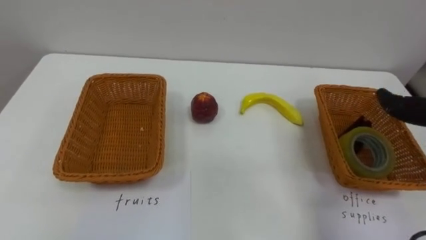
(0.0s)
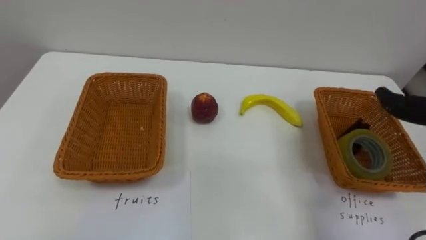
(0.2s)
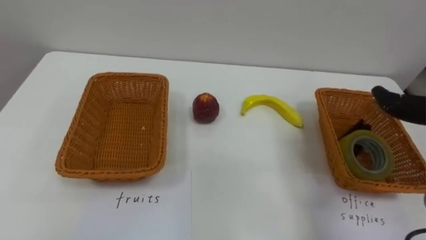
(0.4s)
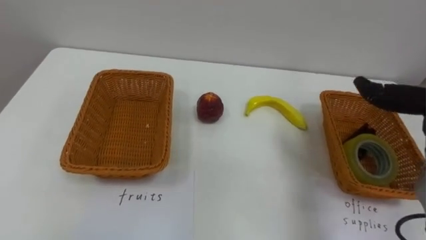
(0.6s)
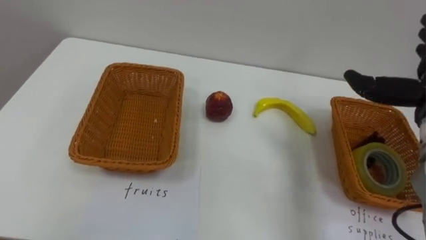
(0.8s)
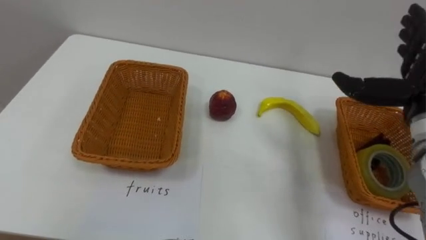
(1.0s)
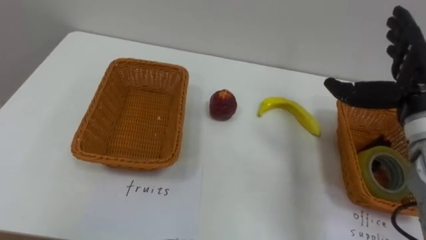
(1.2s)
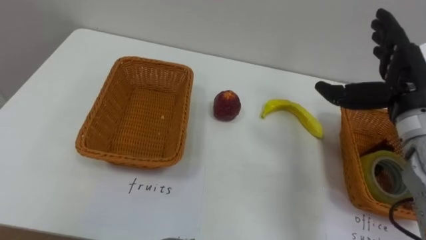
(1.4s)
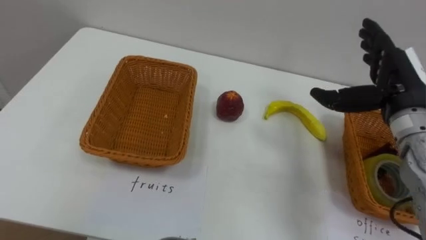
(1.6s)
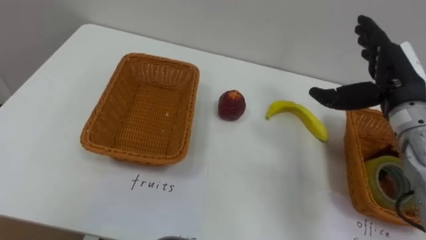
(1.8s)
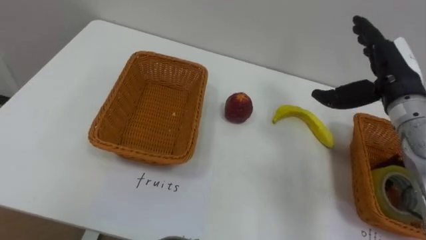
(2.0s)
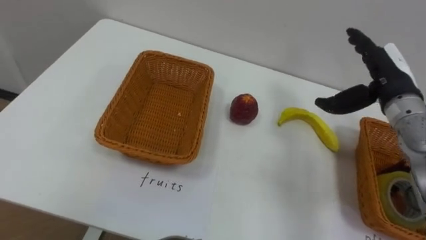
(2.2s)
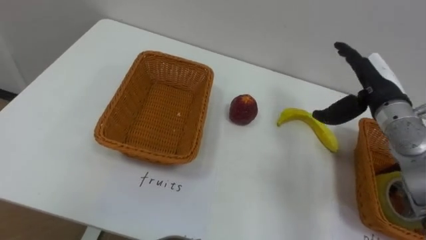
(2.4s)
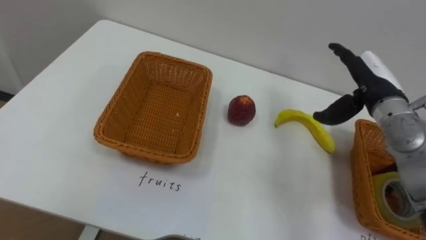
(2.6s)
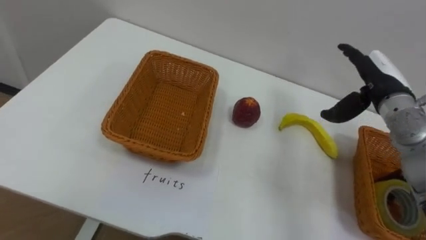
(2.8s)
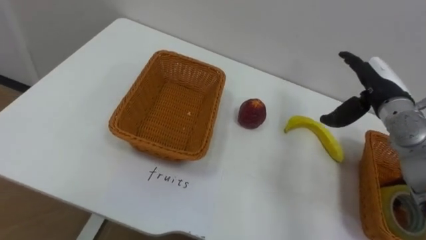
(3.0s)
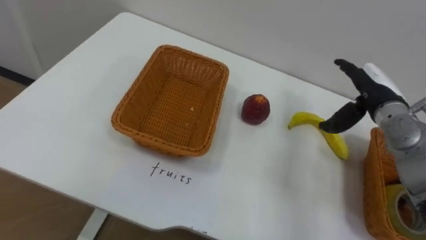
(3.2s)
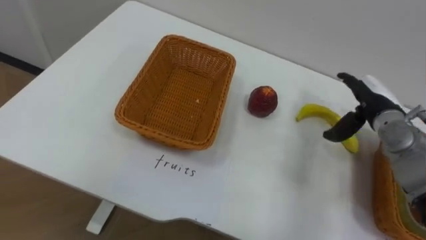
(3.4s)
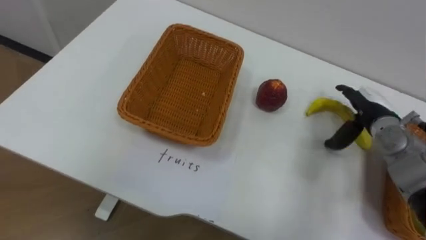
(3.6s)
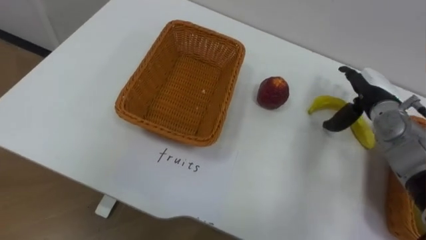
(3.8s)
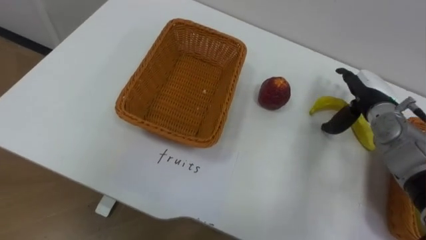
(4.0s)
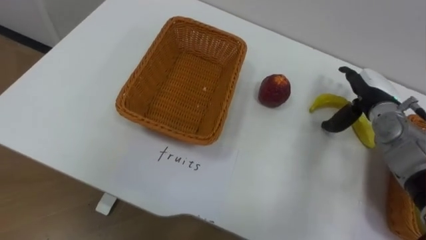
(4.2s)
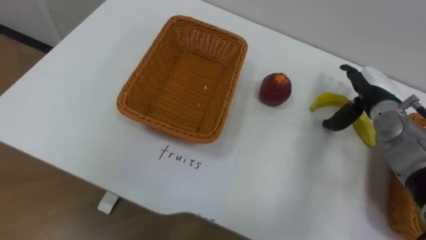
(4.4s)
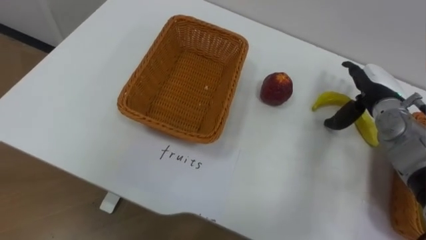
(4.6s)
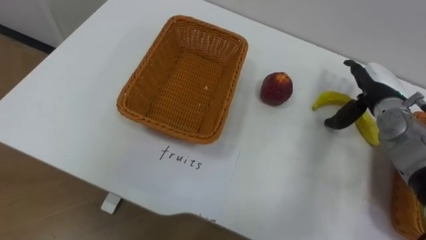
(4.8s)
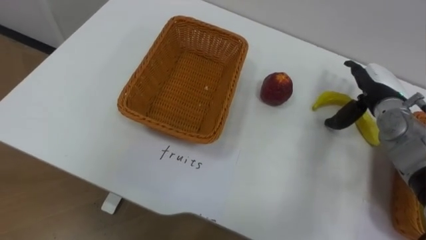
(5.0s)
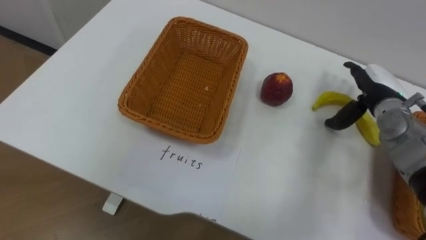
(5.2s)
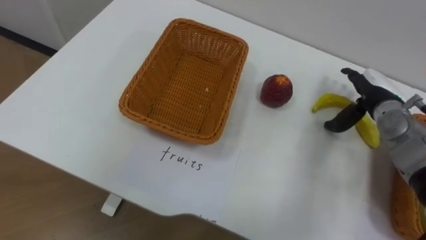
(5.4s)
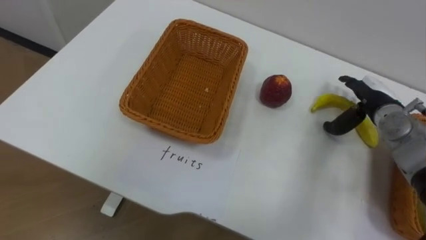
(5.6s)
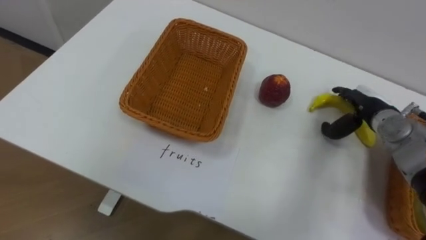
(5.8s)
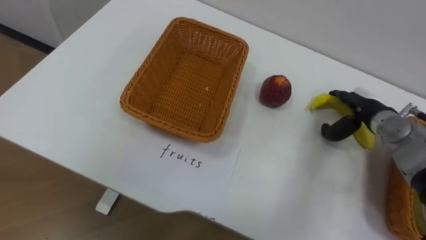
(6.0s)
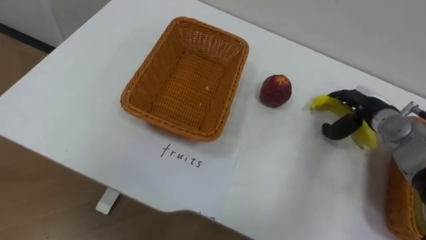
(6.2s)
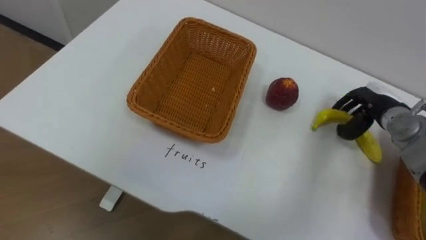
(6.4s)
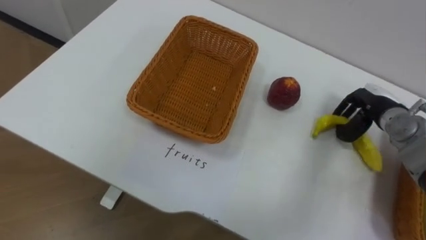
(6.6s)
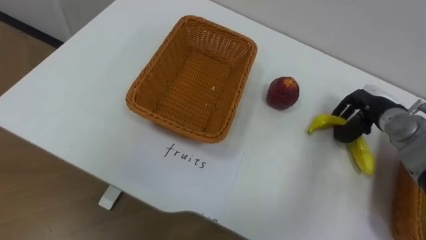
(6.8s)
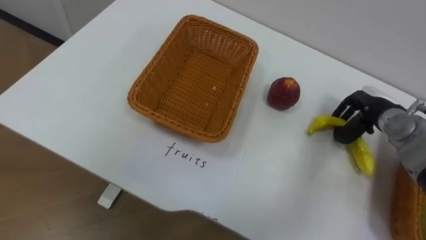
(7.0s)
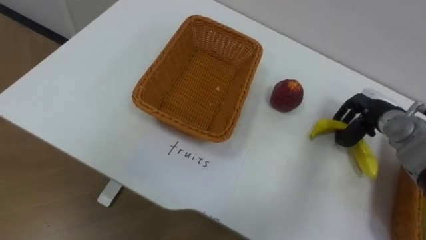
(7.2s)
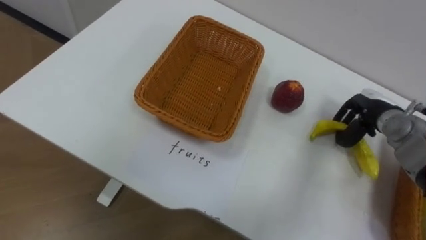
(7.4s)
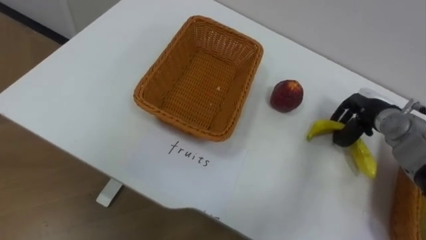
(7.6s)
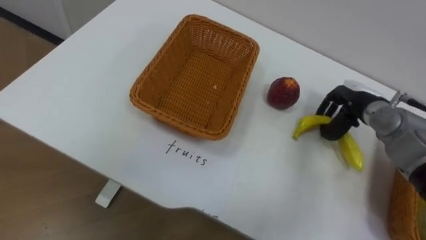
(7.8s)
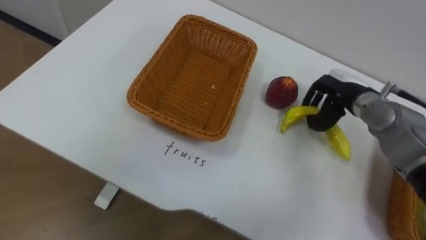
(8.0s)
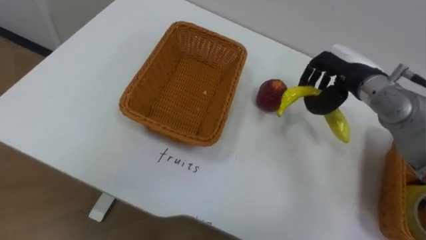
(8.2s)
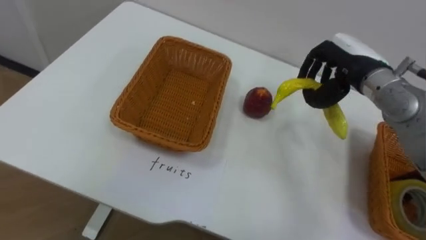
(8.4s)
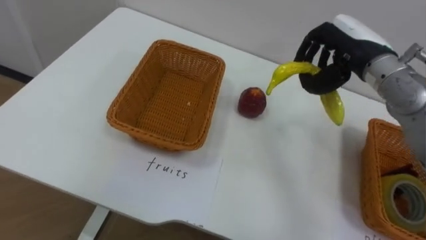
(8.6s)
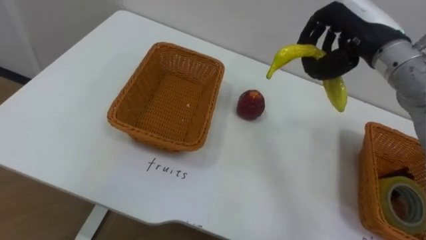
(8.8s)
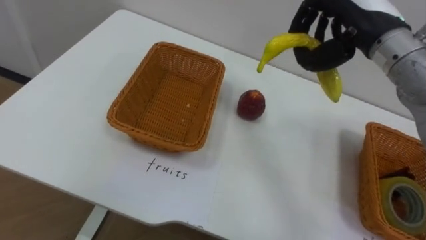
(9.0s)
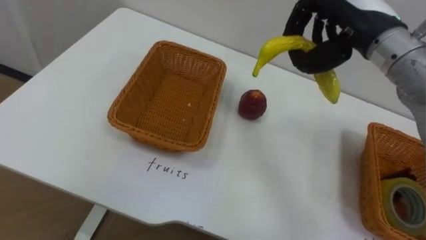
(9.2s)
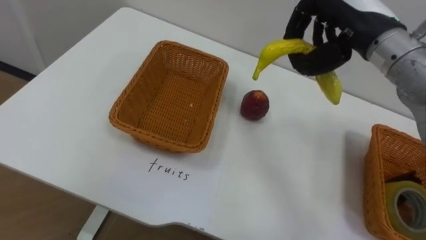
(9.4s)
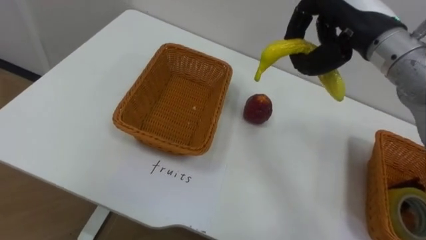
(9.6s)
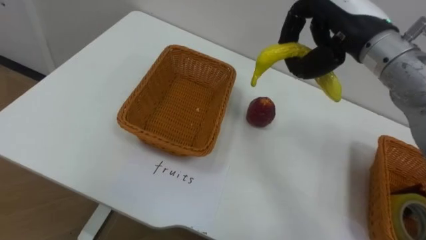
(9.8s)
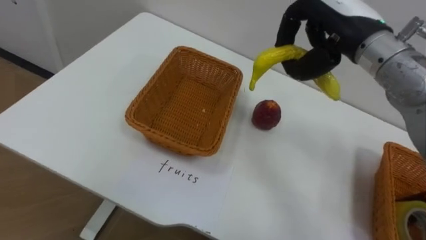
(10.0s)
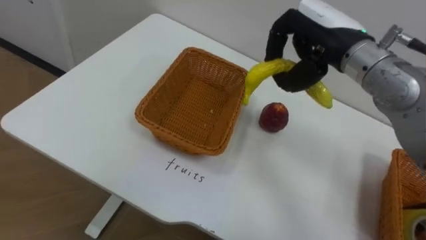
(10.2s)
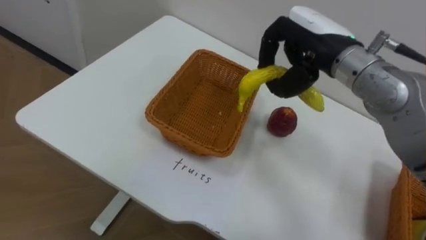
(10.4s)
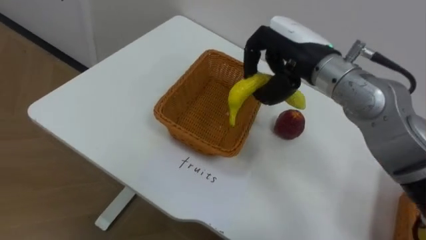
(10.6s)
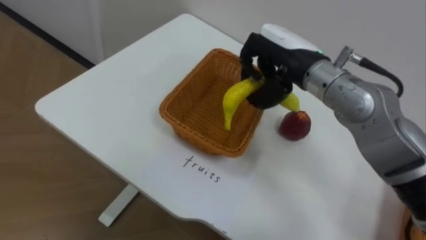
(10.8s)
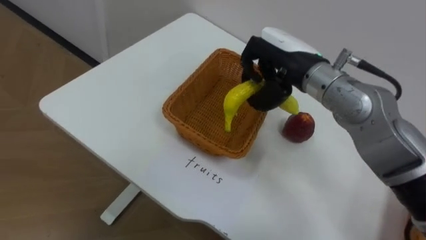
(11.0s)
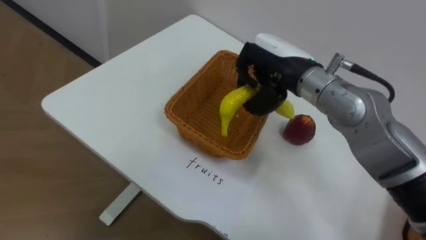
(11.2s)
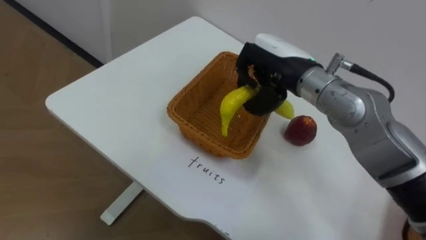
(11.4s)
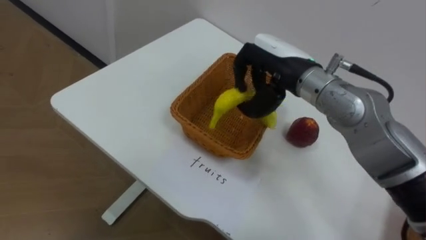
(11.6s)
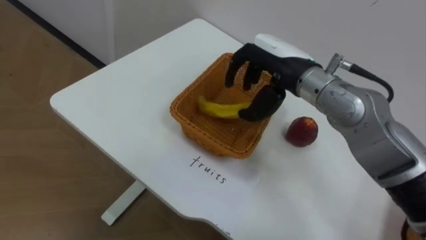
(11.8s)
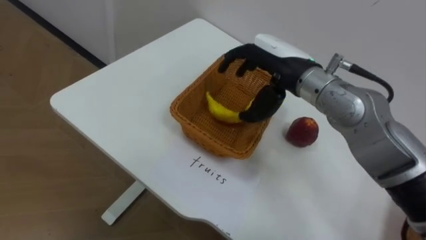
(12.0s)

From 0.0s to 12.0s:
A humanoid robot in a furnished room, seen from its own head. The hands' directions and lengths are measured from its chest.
Task of the whole recording: Separate the items on the table and place them into the two baskets.
From 1.6s to 3.0s: The right hand moves about 5 cm.
From 6.0s to 7.6s: The right hand closes its fingers.
From 7.6s to 9.0s: The right hand shifts some 25 cm upward and to the left.
From 9.0s to 10.4s: The right hand travels to the left by roughly 5 cm.
From 10.4s to 12.0s: The right hand shifts by approximately 5 cm, and opens its fingers.

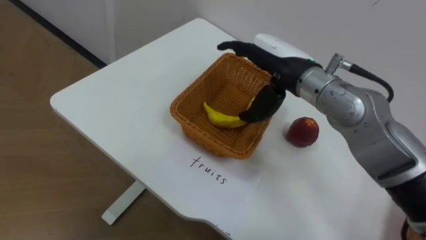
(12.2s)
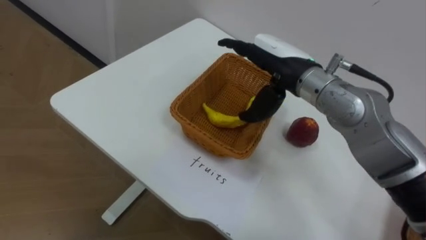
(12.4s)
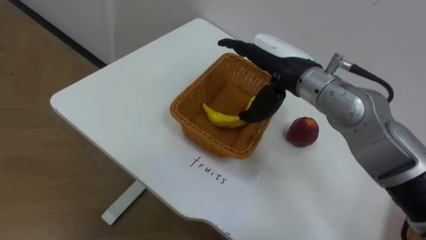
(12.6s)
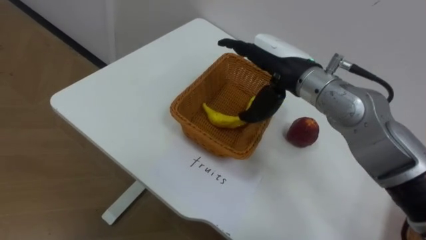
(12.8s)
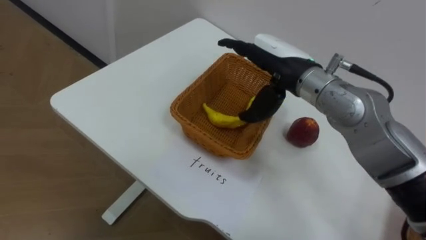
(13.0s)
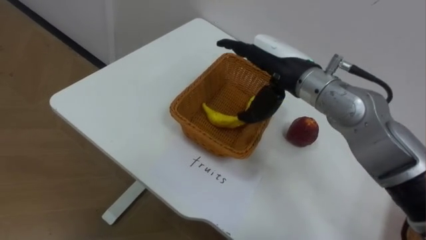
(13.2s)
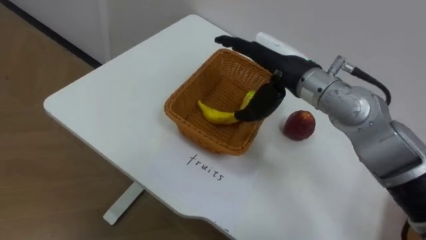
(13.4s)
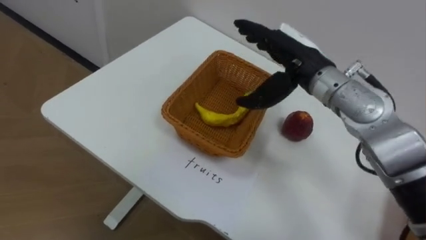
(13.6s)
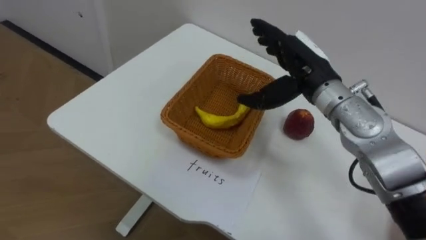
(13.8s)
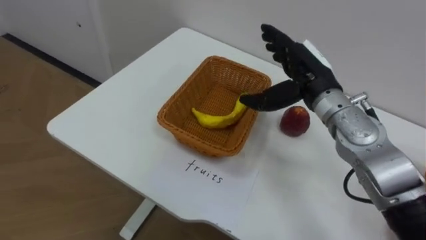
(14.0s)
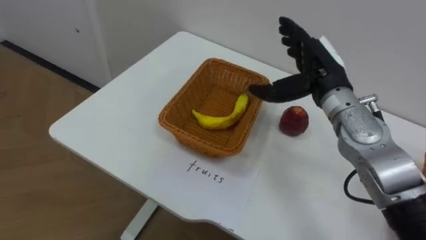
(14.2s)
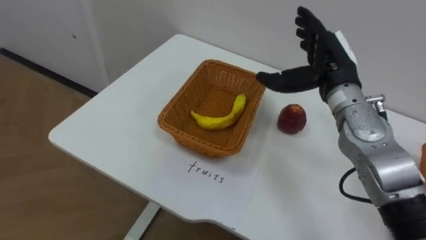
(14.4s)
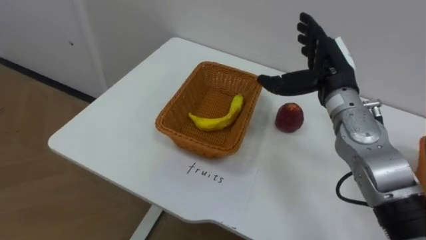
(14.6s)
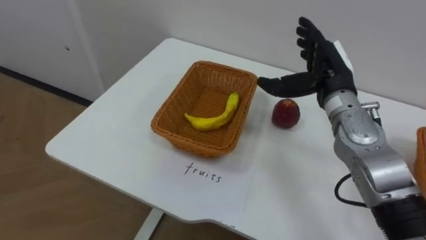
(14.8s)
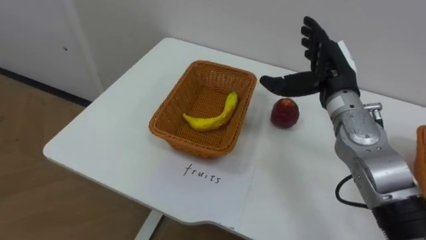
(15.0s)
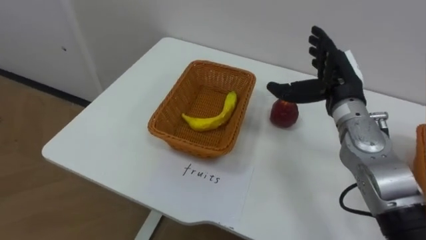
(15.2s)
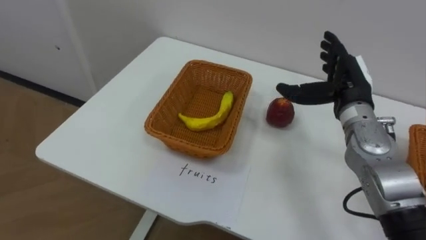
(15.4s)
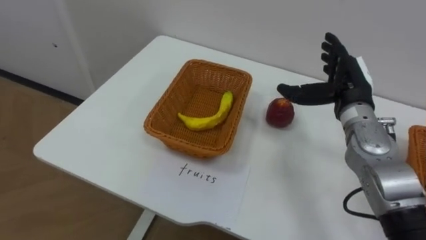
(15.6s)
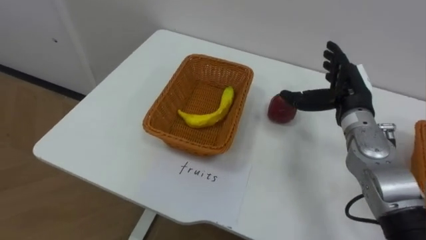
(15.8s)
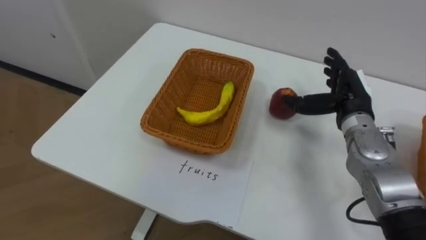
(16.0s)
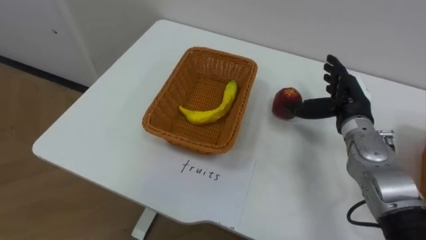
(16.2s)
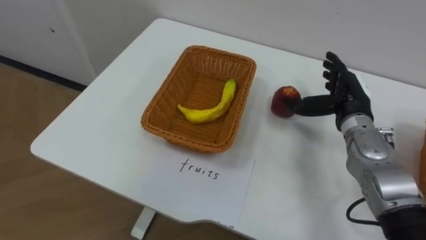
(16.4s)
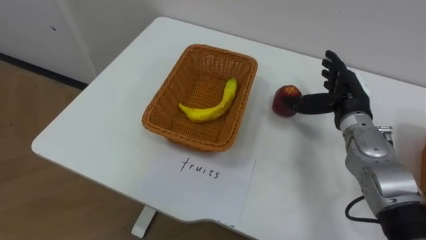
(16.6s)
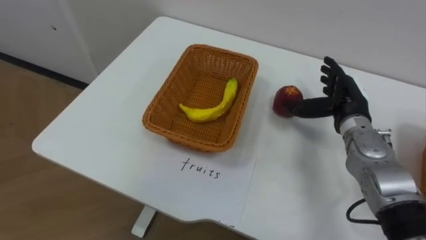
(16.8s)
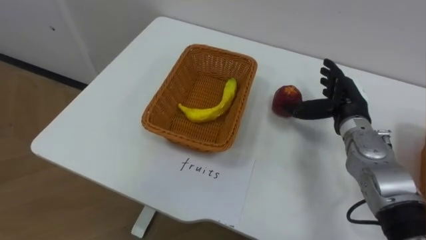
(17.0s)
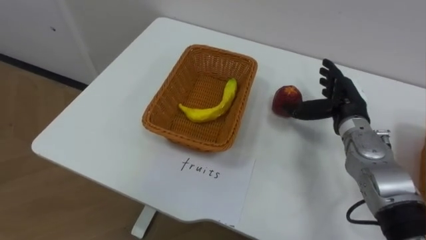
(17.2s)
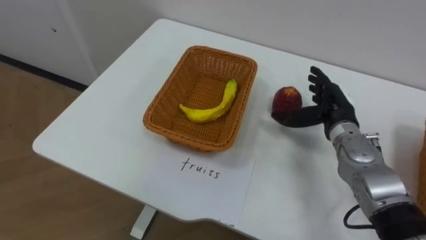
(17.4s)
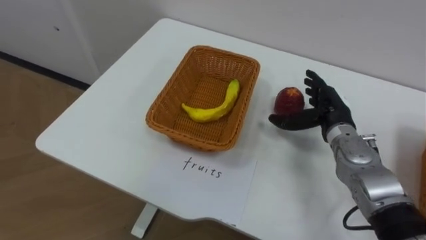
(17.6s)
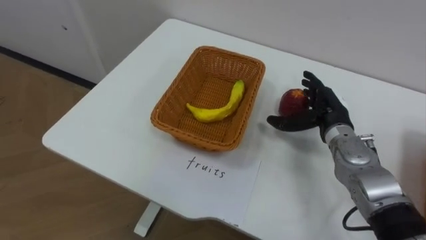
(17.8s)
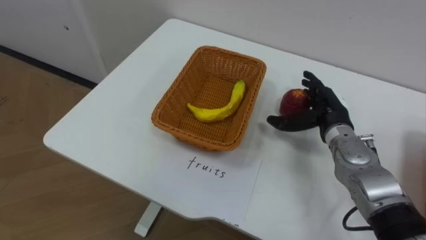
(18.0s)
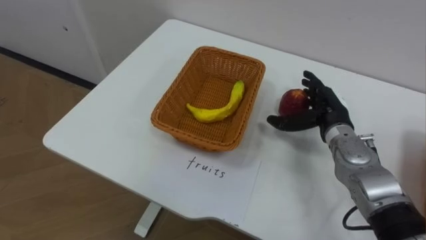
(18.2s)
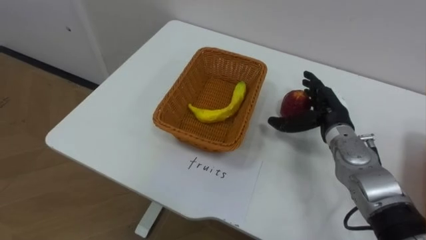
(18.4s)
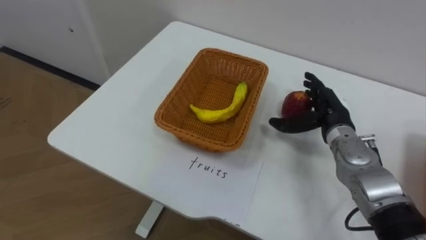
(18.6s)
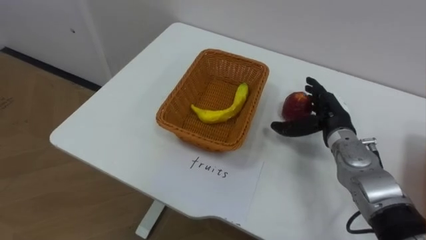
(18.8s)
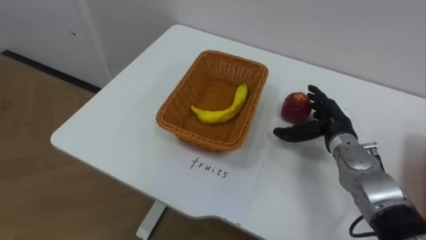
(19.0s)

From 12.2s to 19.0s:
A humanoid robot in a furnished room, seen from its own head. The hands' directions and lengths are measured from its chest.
Task of the whole recording: Separate the items on the table and place them into the two baskets.
From 13.6s to 15.0s: The right hand moves to the right, roughly 5 cm.
From 15.0s to 16.2s: The right hand heads downward, covering approximately 5 cm.
